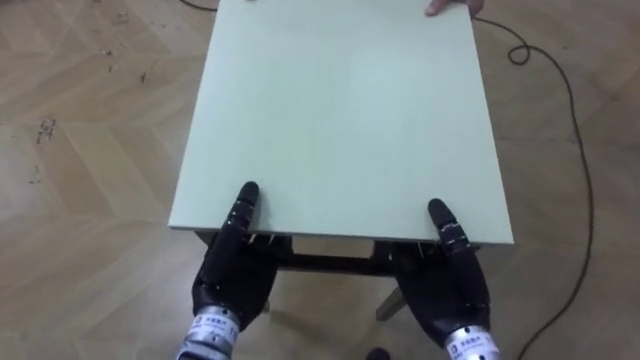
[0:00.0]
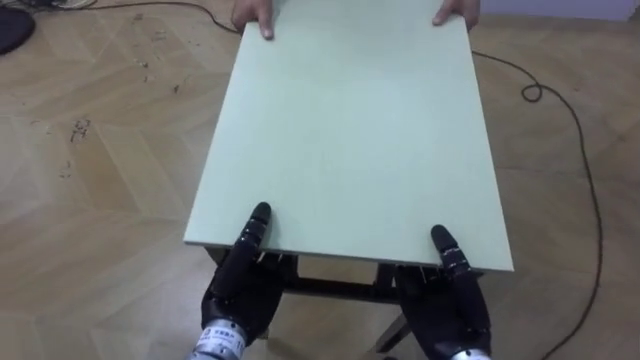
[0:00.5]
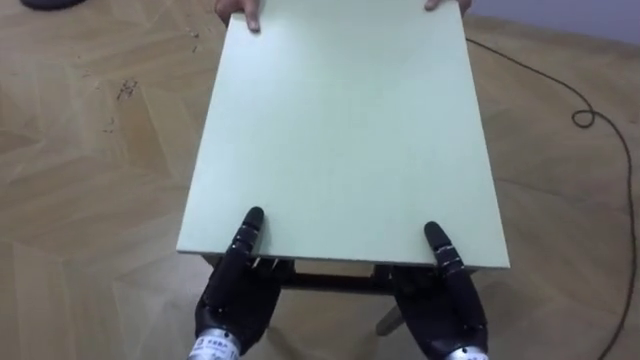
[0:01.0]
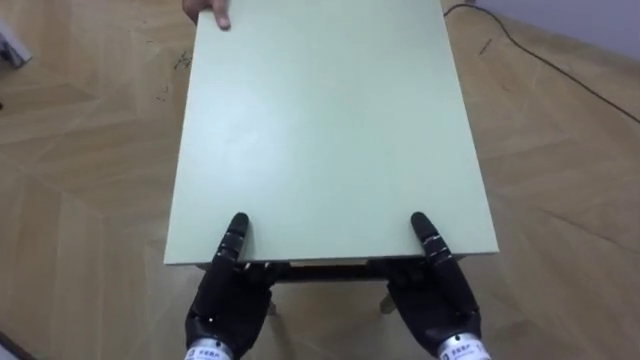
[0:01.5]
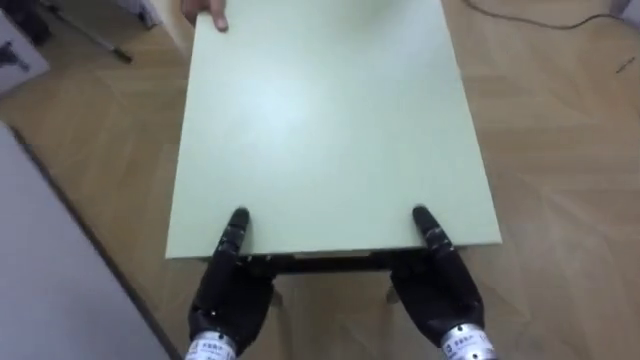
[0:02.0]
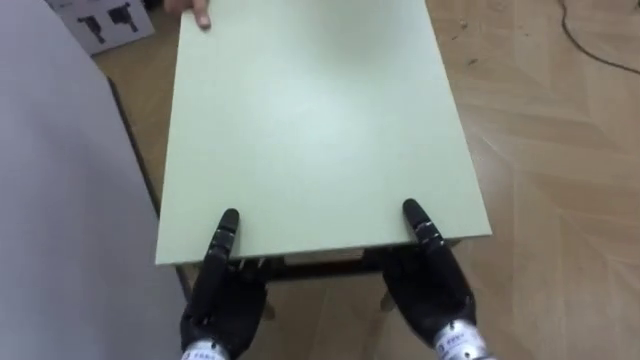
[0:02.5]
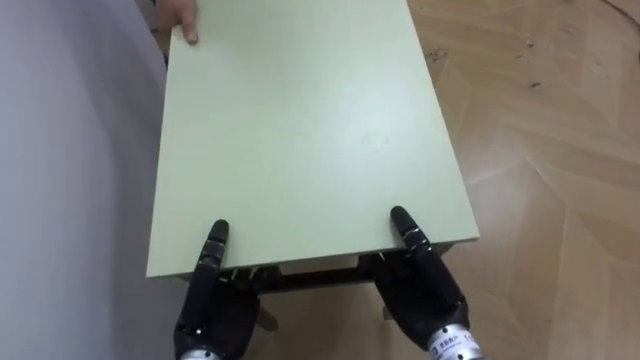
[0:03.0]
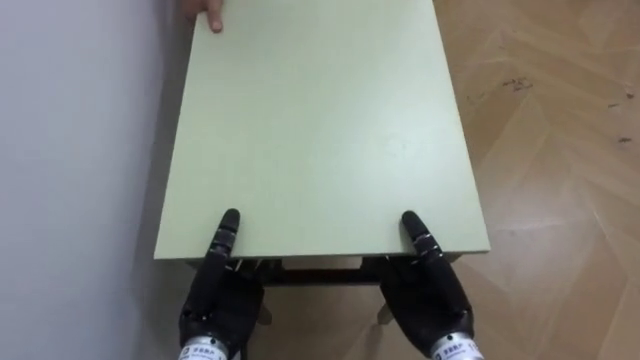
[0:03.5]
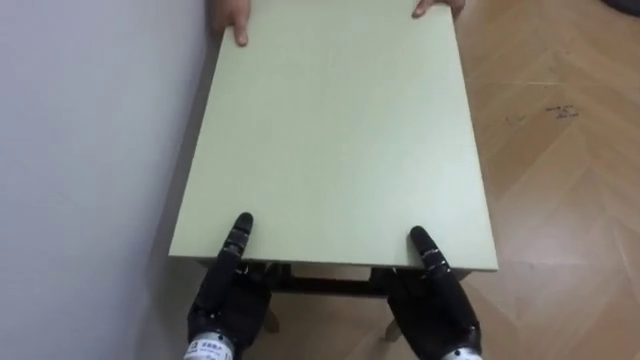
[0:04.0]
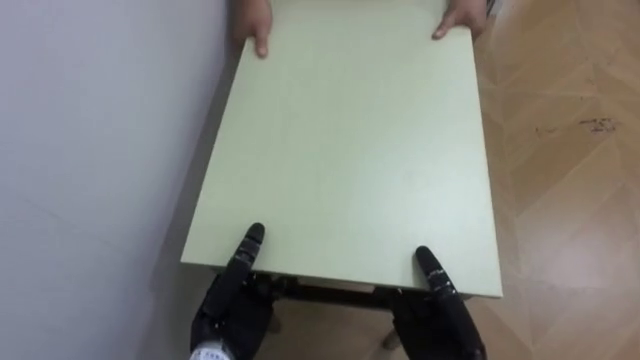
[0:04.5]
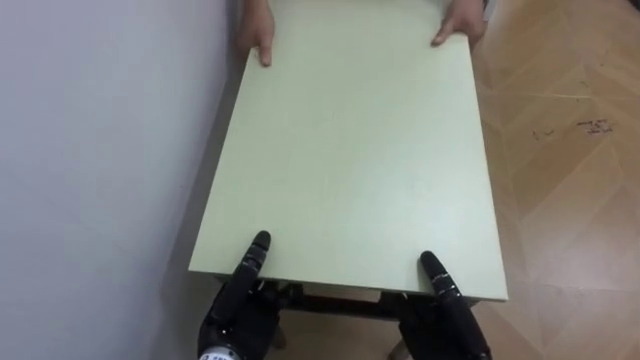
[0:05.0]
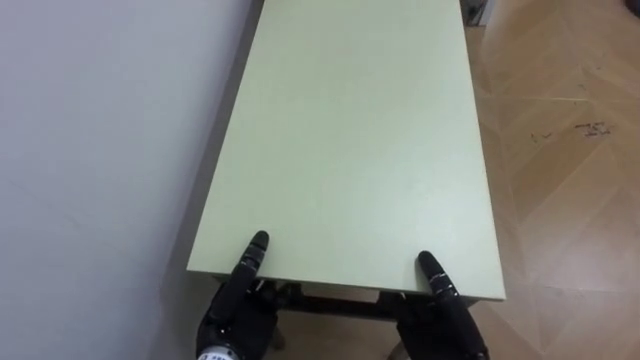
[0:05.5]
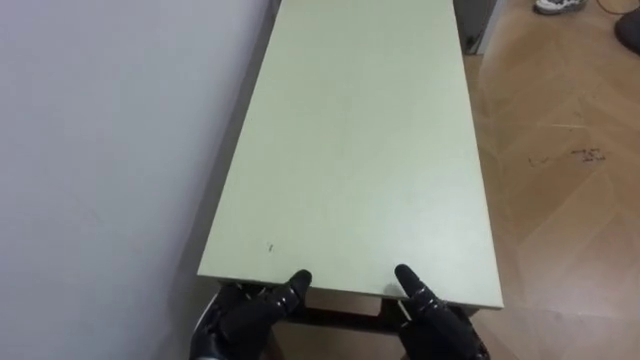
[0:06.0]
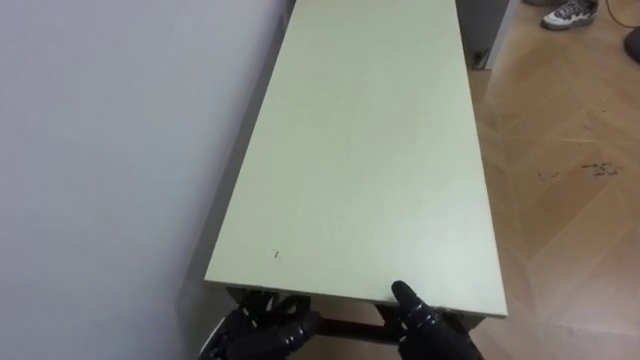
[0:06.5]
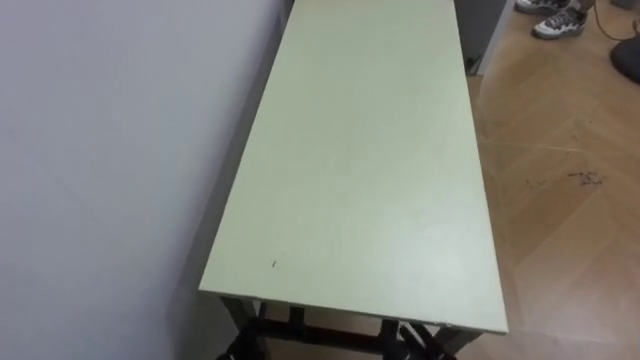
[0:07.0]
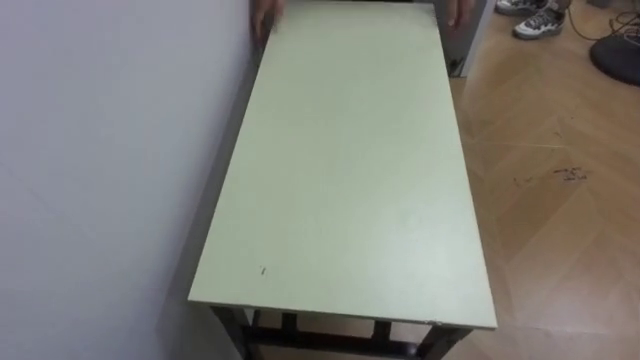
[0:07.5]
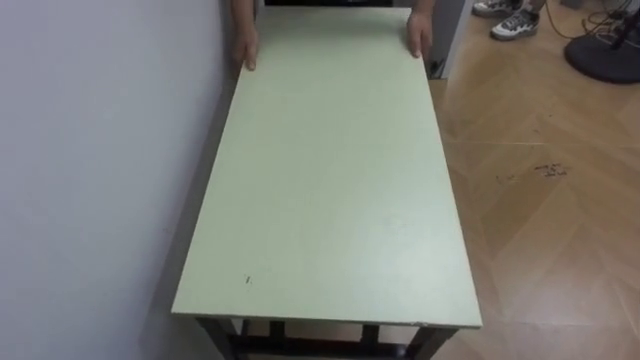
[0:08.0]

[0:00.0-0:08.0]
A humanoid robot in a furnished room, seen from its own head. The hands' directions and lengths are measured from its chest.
Task of the whole recording: Move the table to the back left with someone.
0:00.0 to 0:02.0: The robot rotates about 35 degrees to its left.
0:02.0 to 0:04.0: The robot rotates some 50 degrees to its left.
0:04.0 to 0:06.0: The right hand opens up.

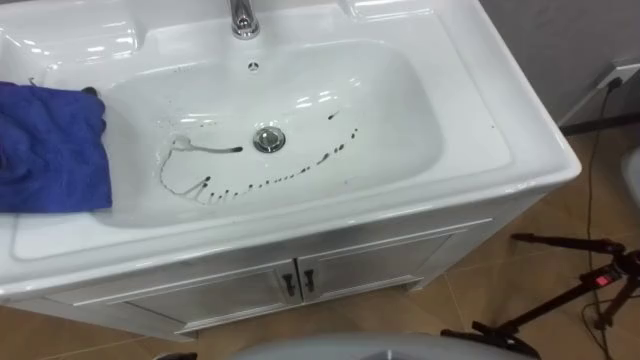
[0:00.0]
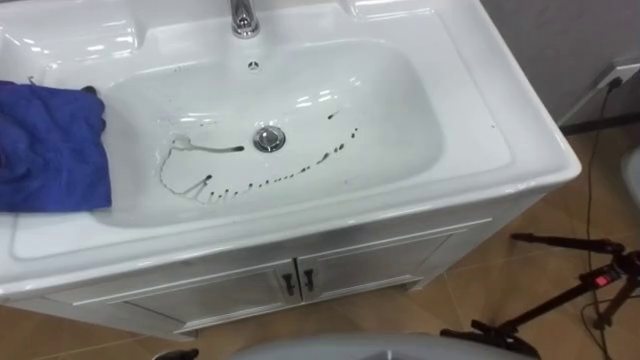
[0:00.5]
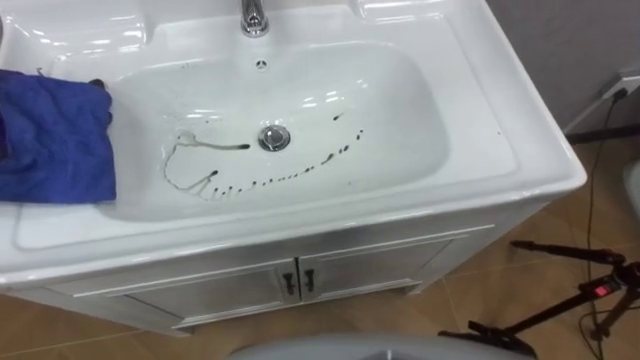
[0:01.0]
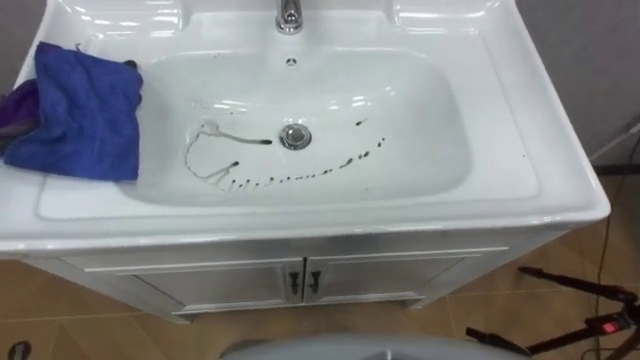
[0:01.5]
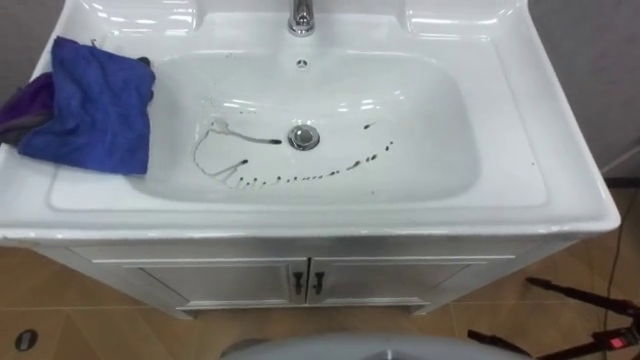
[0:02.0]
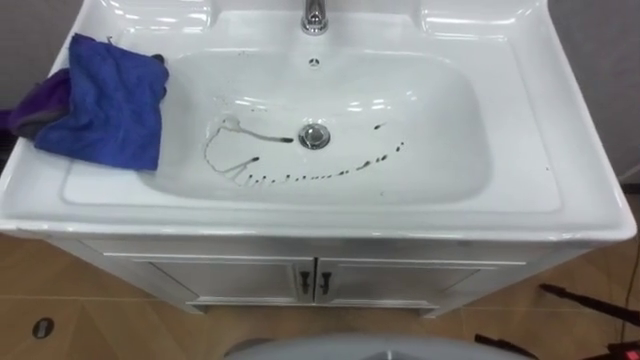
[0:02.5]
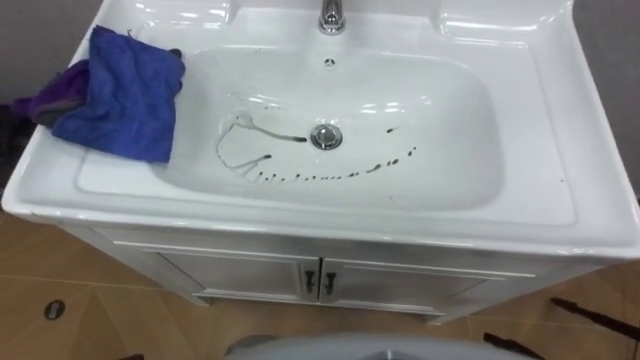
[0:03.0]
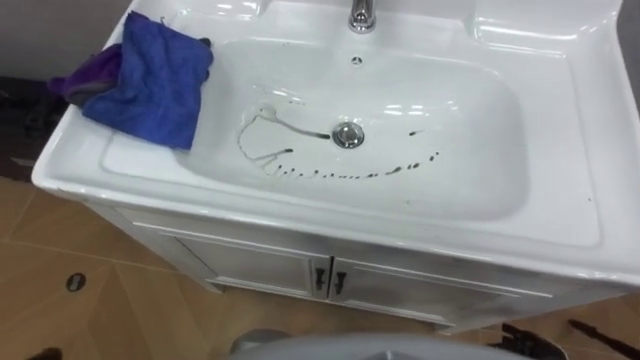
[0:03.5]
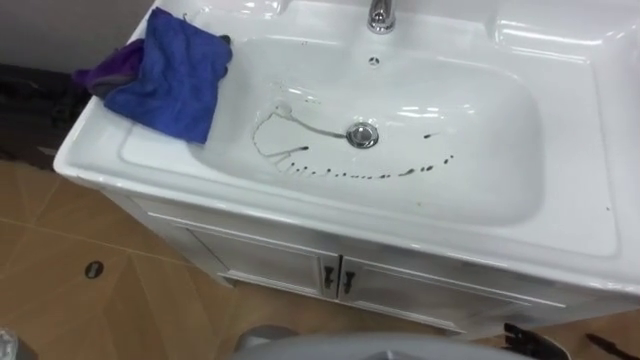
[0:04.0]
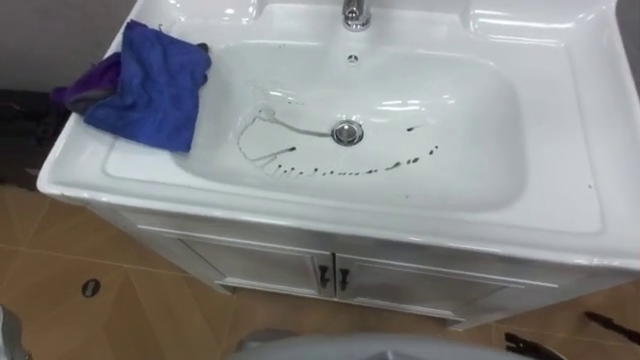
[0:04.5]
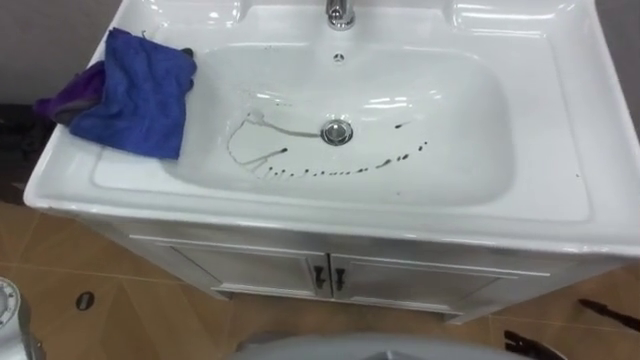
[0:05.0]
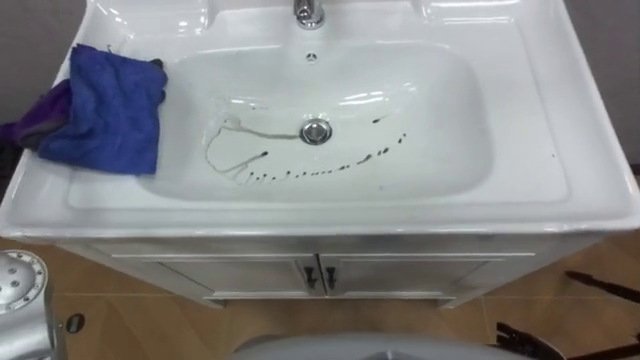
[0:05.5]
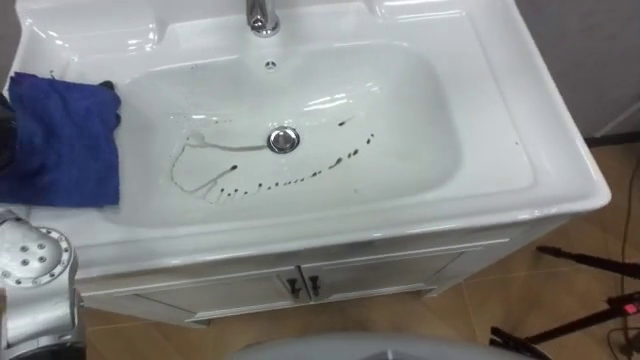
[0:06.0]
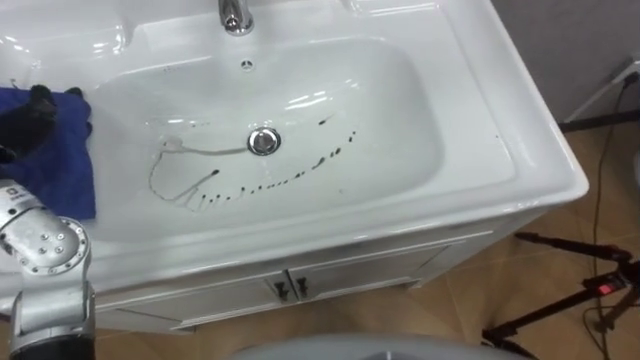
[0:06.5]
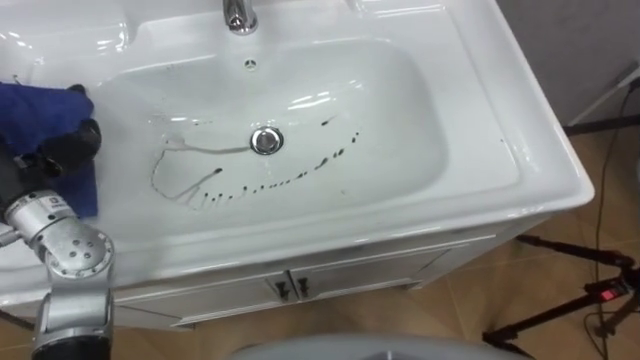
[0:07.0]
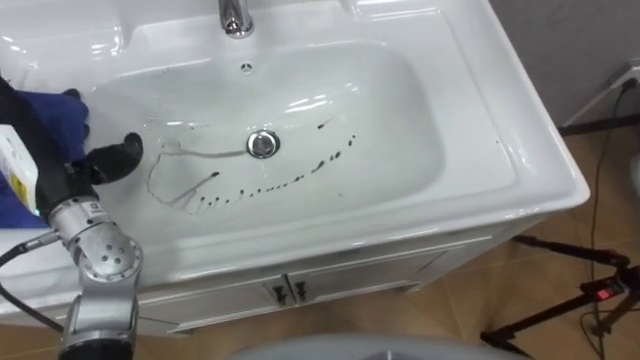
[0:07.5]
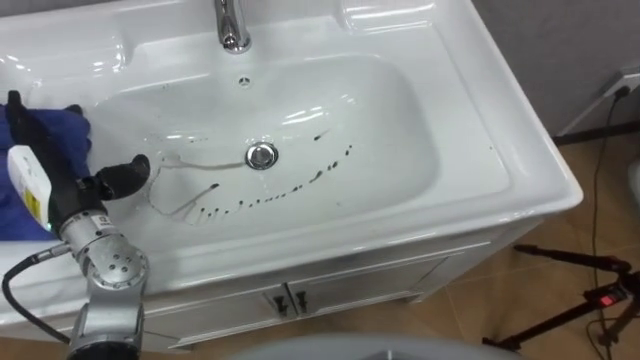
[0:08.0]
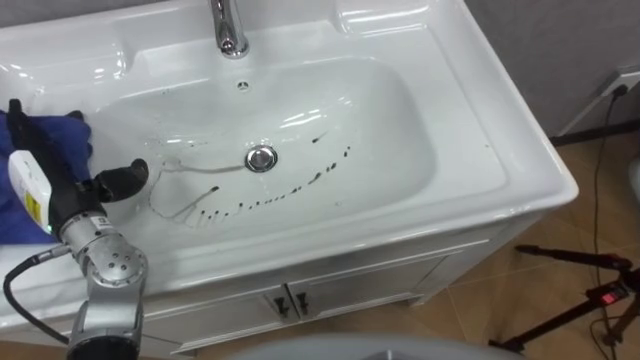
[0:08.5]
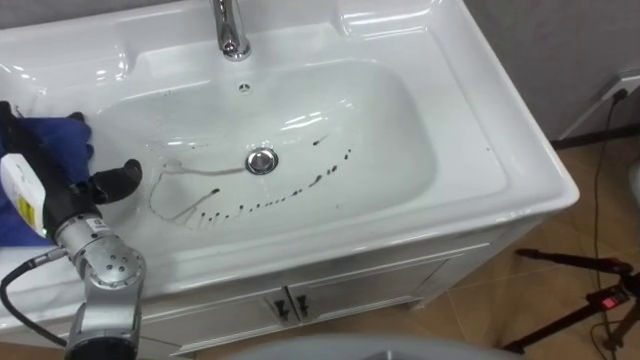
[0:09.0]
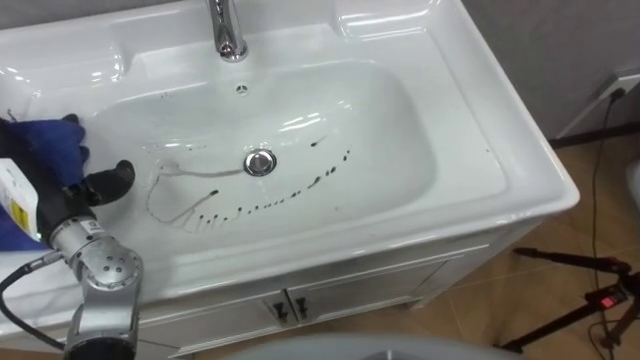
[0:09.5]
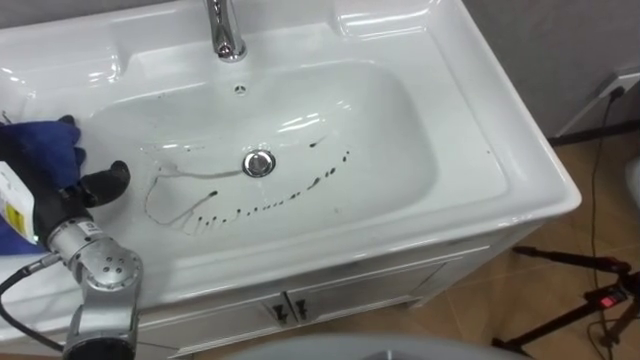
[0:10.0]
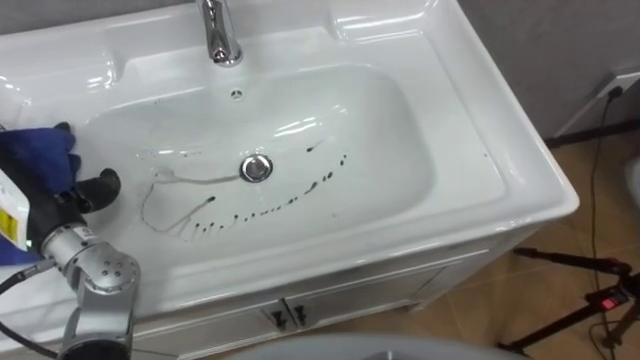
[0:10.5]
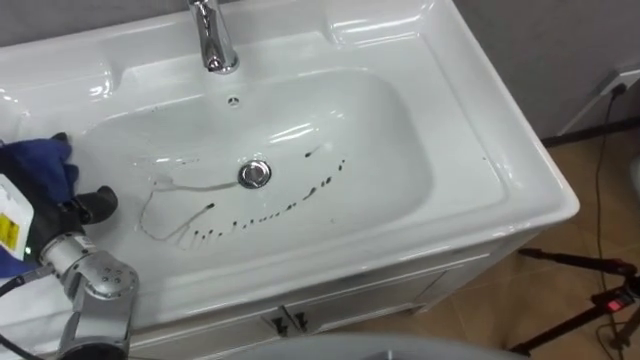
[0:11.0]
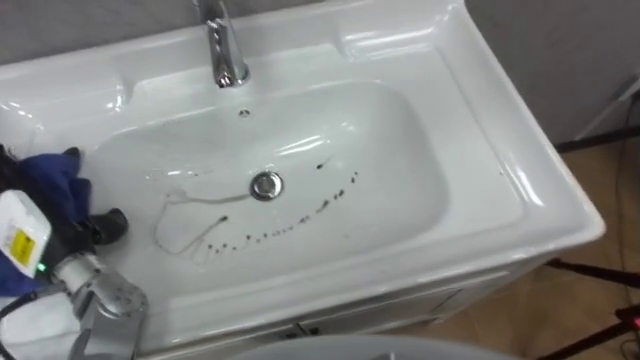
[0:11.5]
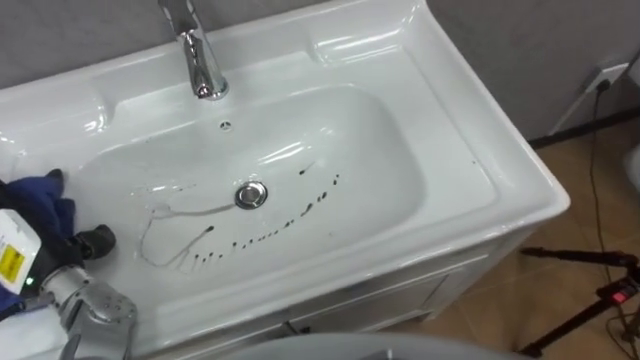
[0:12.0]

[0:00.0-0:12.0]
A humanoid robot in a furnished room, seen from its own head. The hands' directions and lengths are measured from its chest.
Task of the whole recording: Use the cloth on the right to wipe away the black stain in the sink.
0:10.0 to 0:12.0: The left hand moves backward, some 5 cm.
